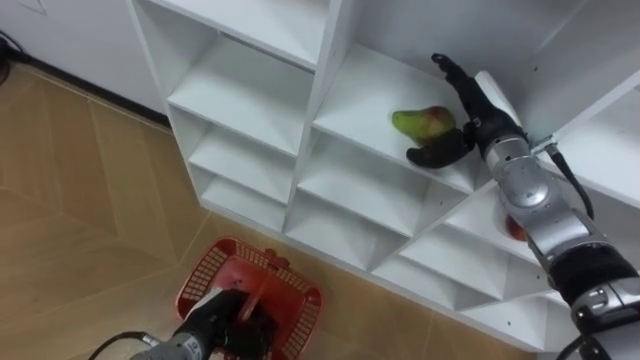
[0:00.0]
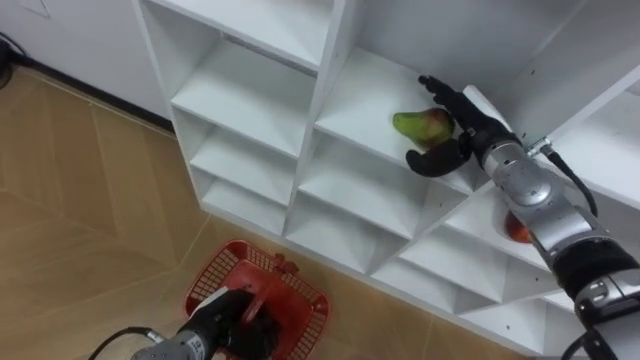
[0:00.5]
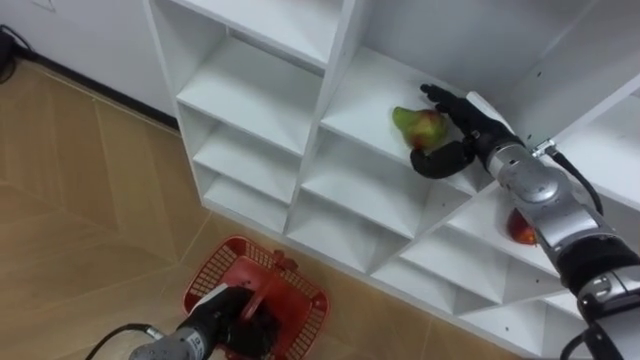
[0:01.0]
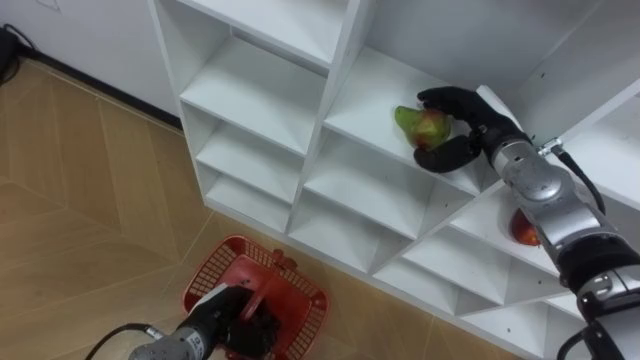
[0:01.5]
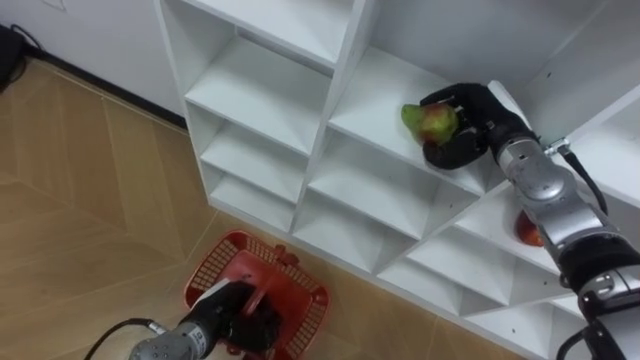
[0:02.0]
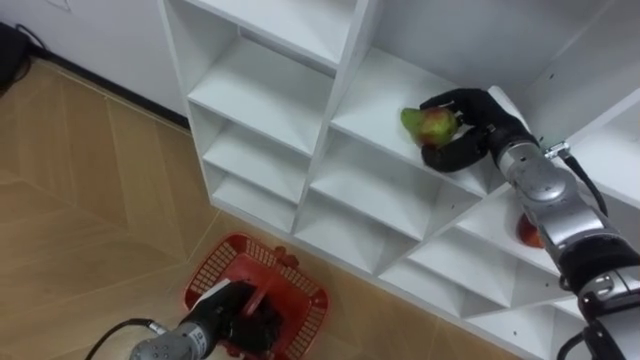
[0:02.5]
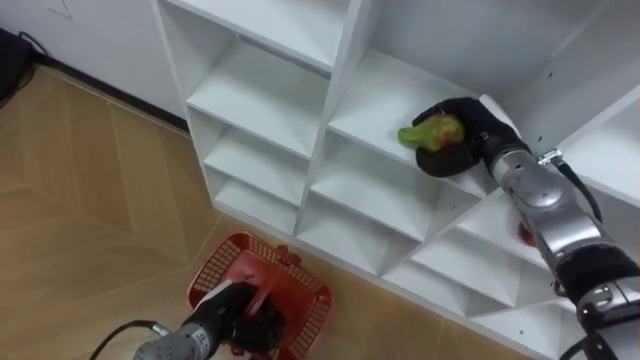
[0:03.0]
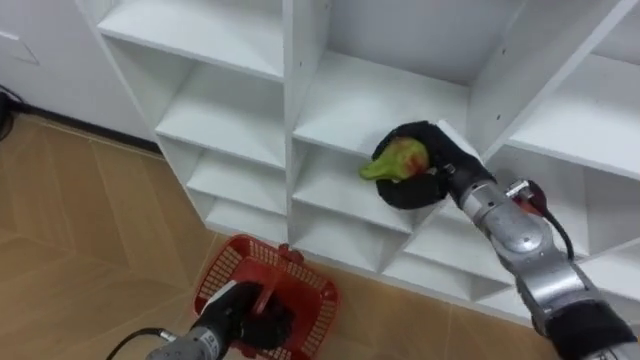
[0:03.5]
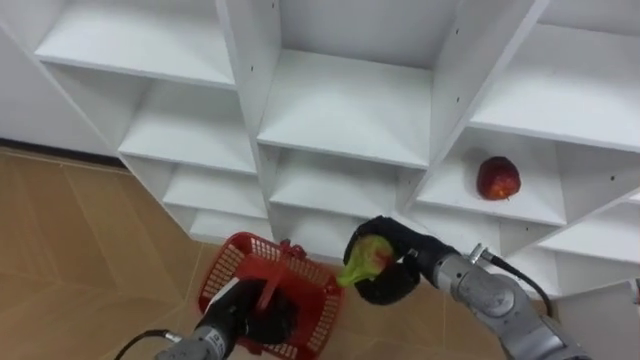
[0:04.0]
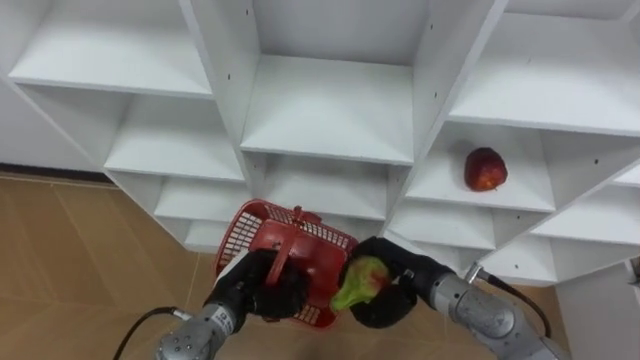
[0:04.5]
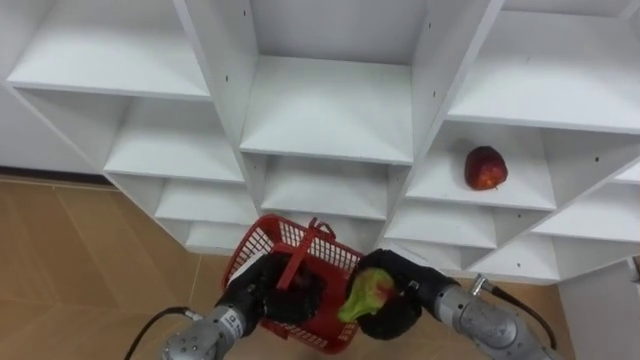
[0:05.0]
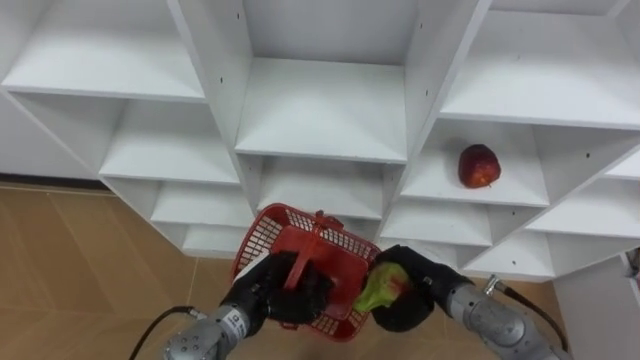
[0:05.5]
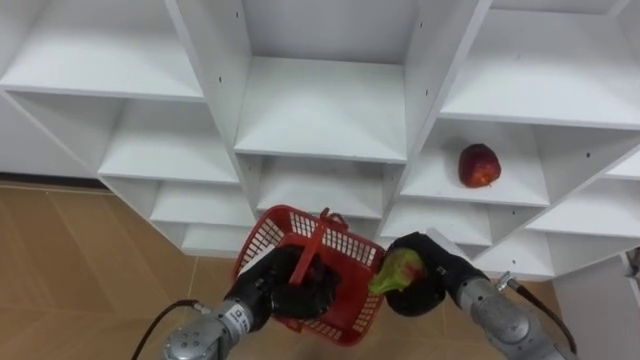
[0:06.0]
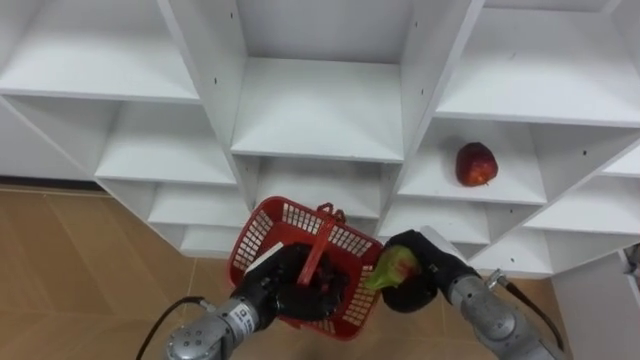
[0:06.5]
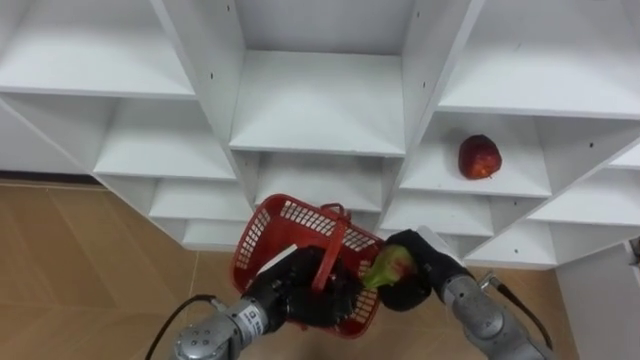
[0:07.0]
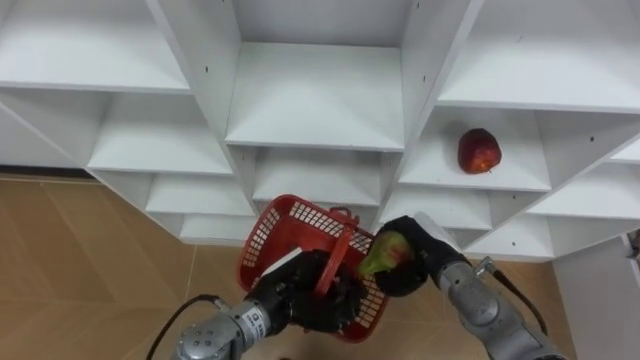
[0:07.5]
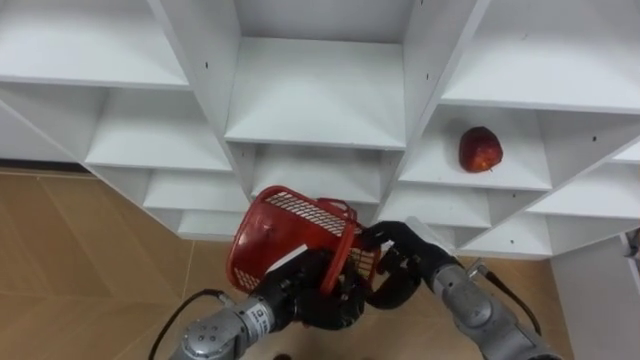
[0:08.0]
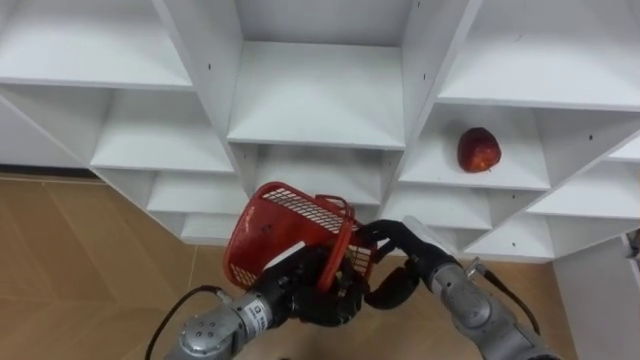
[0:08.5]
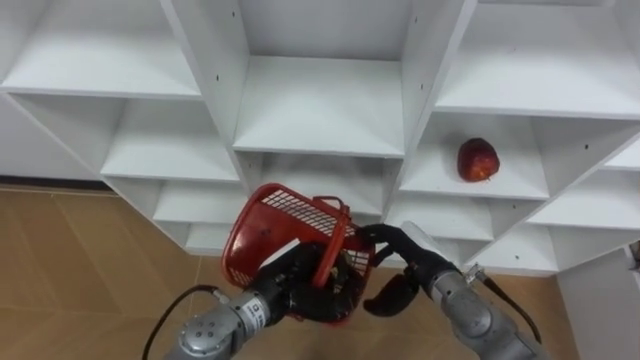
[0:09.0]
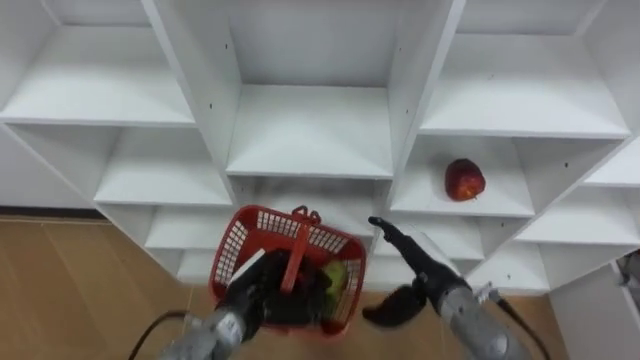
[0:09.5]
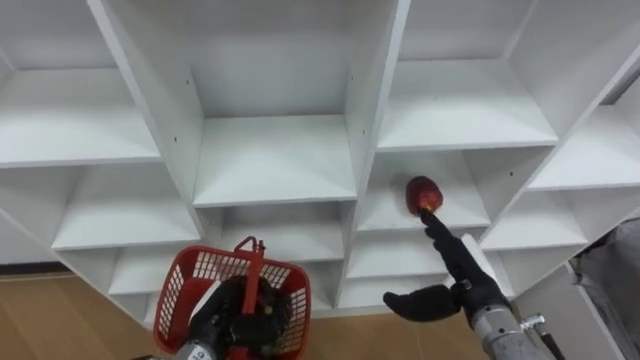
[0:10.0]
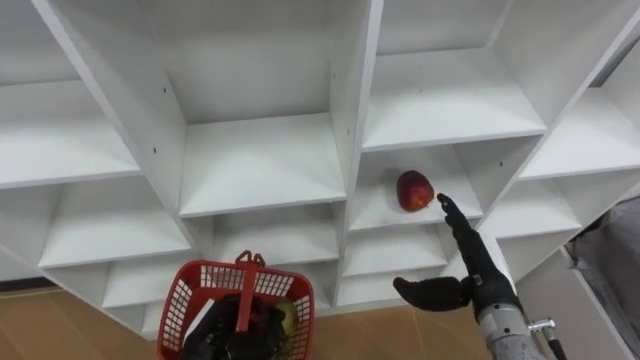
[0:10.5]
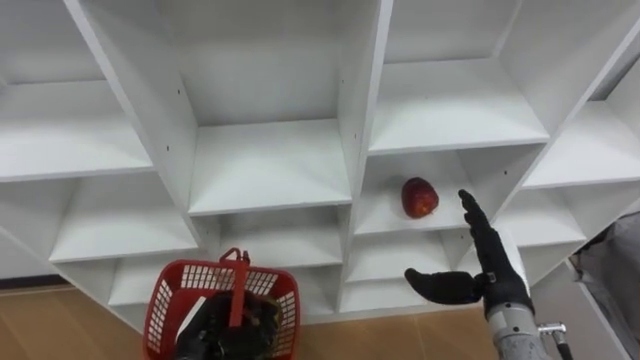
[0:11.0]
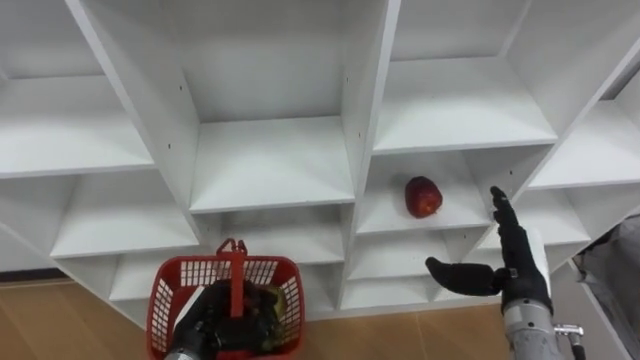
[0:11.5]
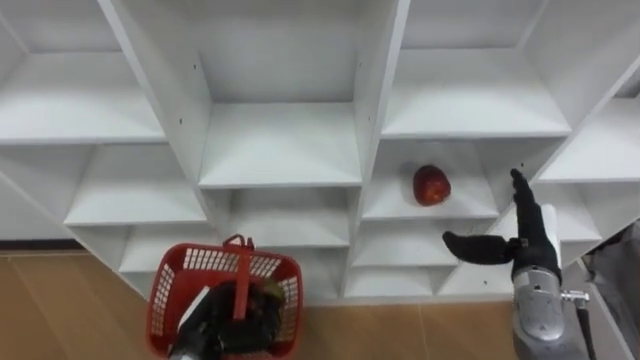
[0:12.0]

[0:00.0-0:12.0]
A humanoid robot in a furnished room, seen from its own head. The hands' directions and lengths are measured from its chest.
Task of the whole recording: Hold the basket and collect the fruits from 3 different cells of the closet into it.
0:00.0 to 0:02.0: The right hand closes up.
0:02.0 to 0:04.0: The right hand travels backward, to the left and downward by some 20 cm.
0:04.0 to 0:06.0: The left hand goes roughly 10 cm upward and to the right. Meanwhile the right hand changes place by roughly 5 cm.
0:06.0 to 0:08.0: The right hand opens up.
0:08.0 to 0:10.0: The left hand heads to the left, covering approximately 10 cm. Meanwhile the right hand goes about 5 cm to the right, and opens up.
0:10.0 to 0:12.0: The right hand is displaced to the right by roughly 10 cm.

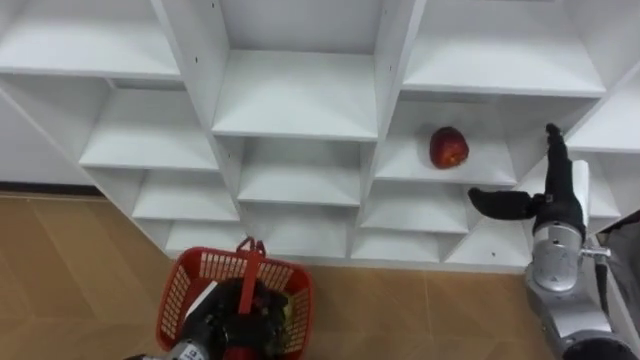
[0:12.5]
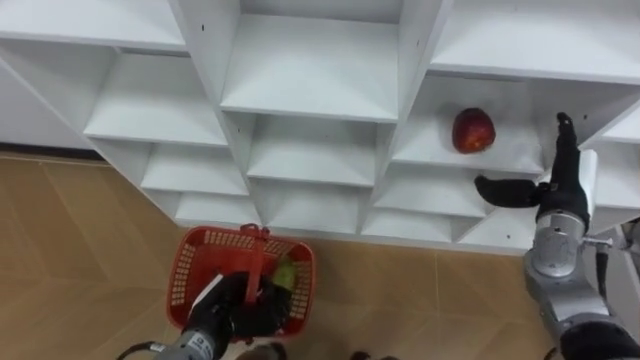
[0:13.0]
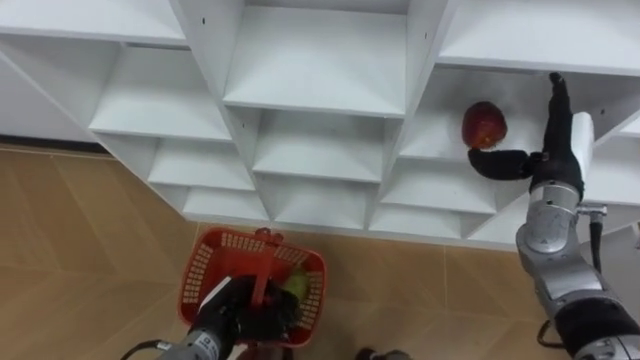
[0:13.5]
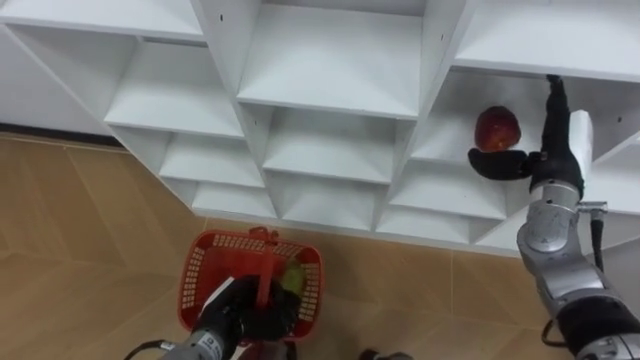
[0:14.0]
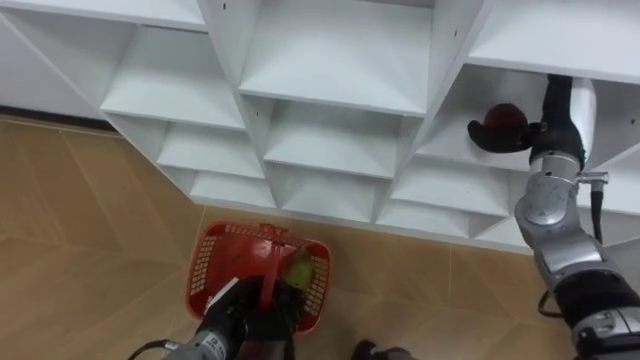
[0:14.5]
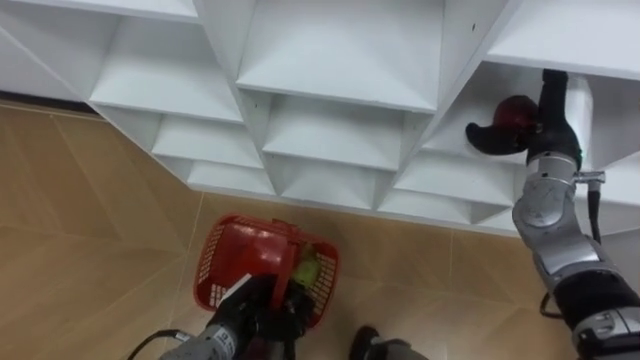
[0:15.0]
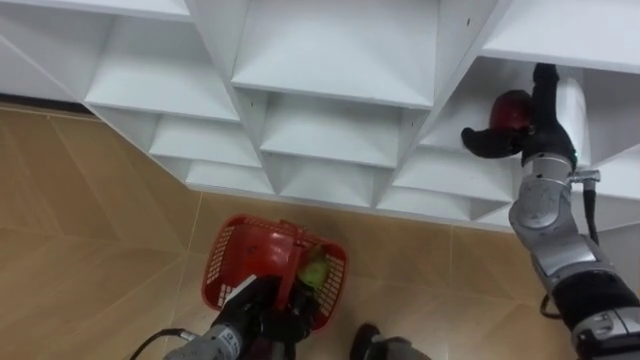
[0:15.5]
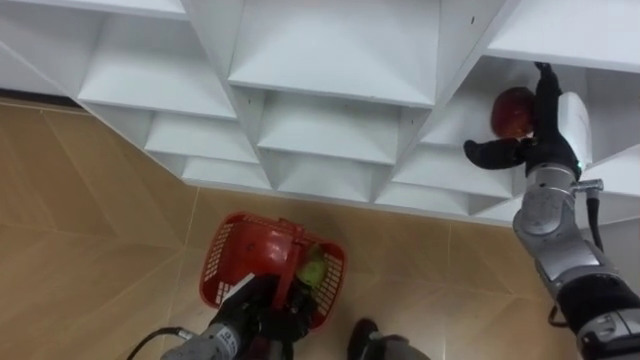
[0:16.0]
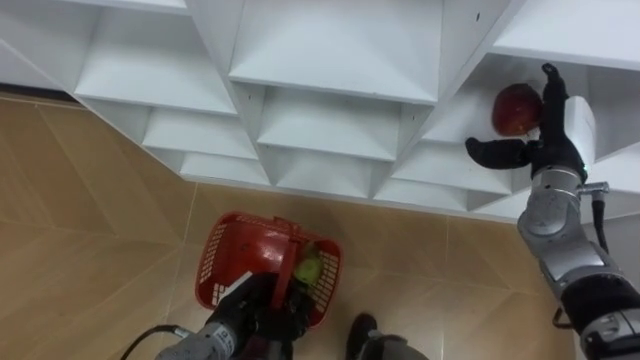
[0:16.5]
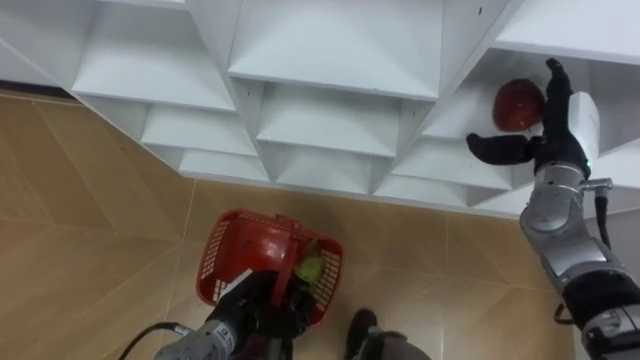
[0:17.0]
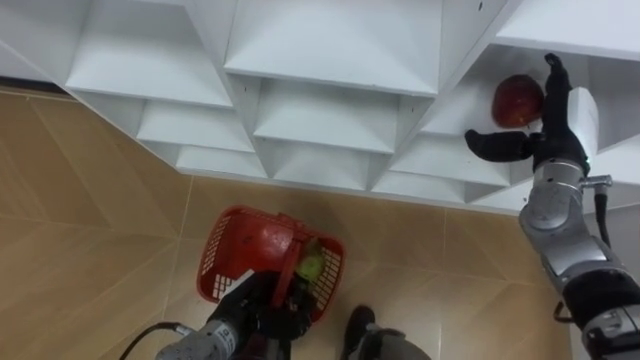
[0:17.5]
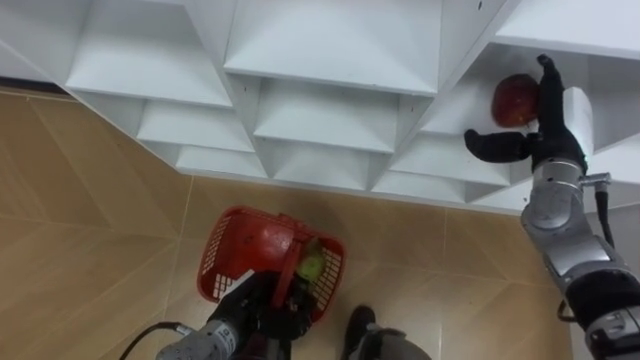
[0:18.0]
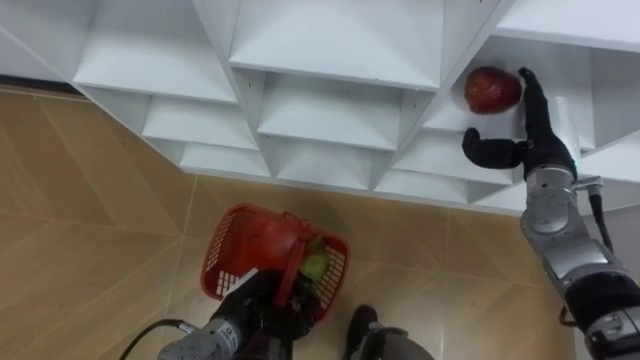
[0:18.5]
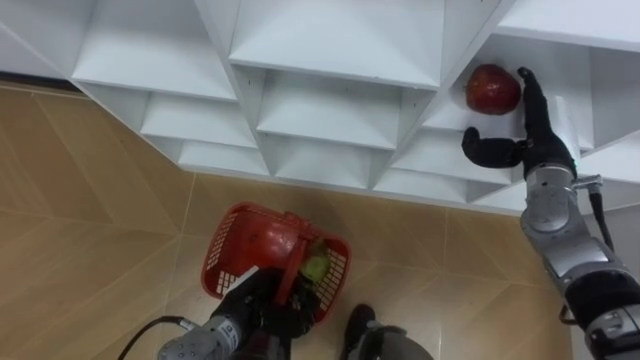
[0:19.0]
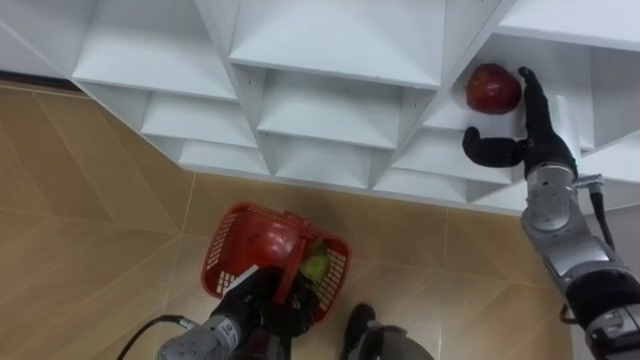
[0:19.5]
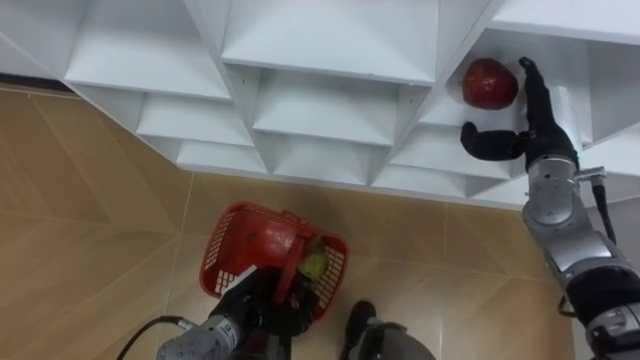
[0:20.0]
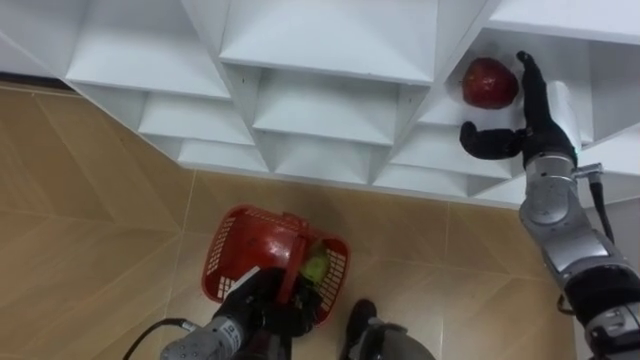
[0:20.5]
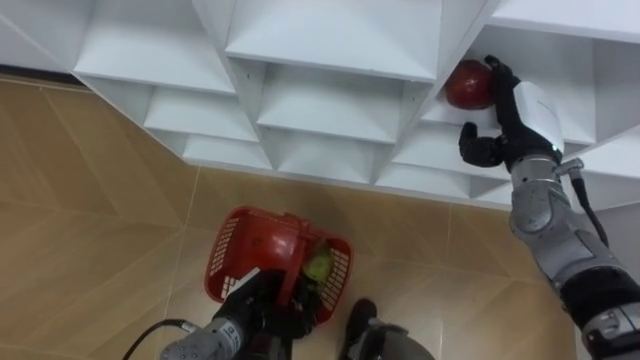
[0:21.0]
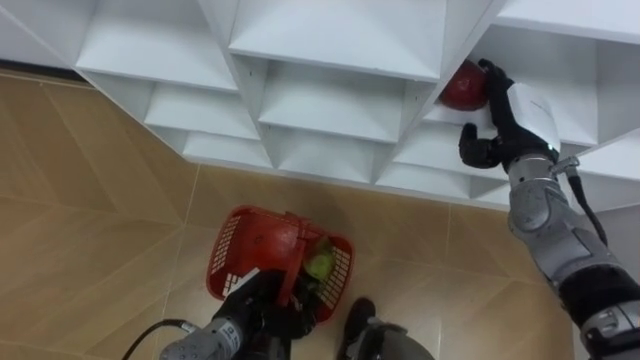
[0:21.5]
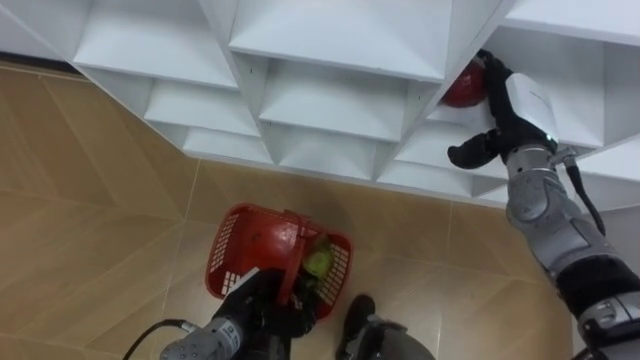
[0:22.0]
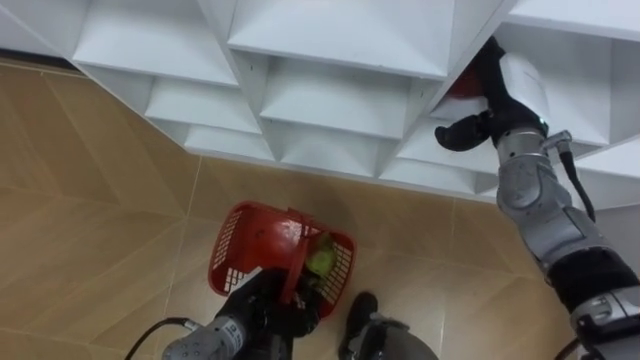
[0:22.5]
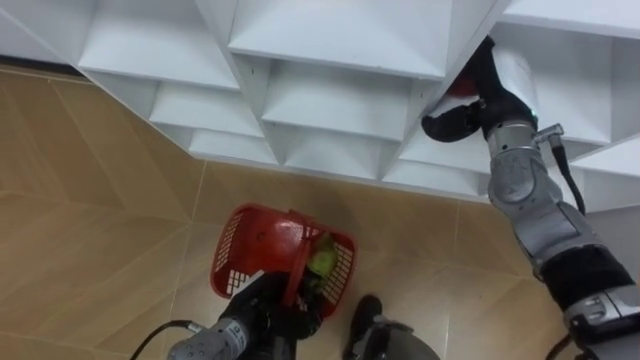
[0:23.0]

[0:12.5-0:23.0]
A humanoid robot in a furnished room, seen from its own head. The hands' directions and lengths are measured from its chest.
Task of the whole recording: Hold the basket and collect the fruits from 3 different cells of the closet into it.
0:12.5 to 0:14.5: The right hand shifts some 10 cm upward and forward.
0:21.0 to 0:23.0: The right hand moves approximately 5 cm.
